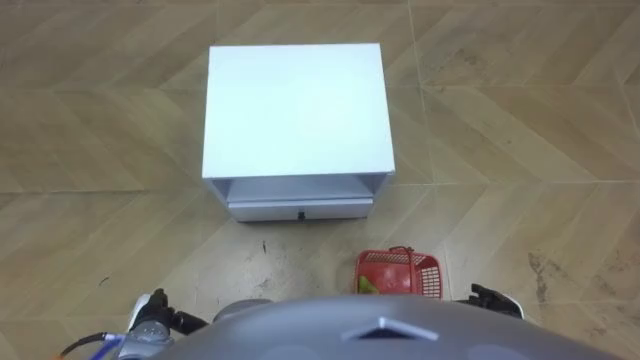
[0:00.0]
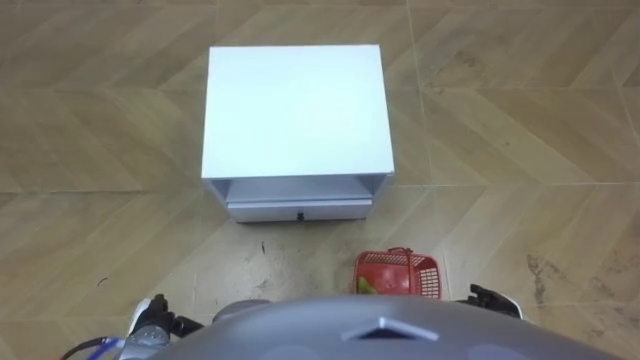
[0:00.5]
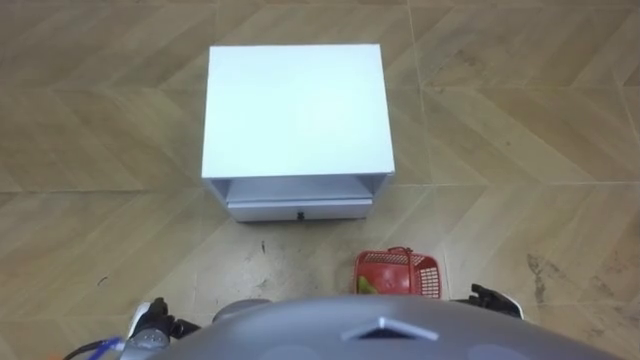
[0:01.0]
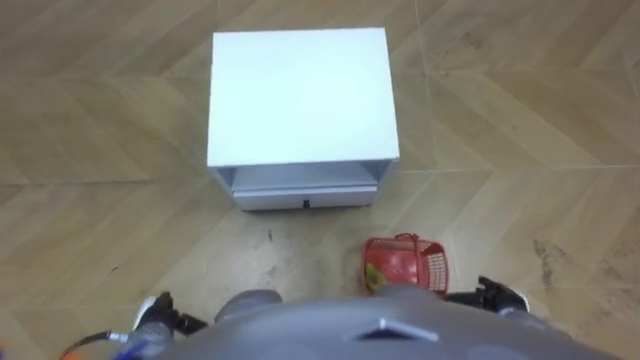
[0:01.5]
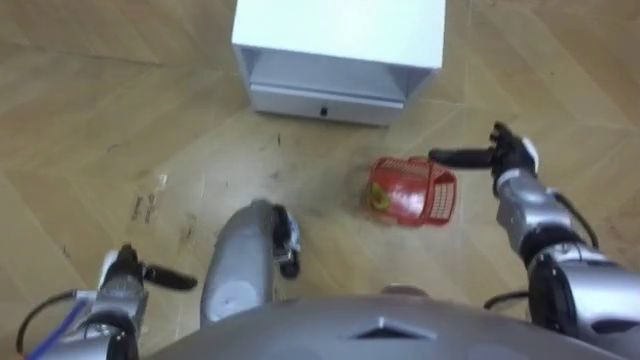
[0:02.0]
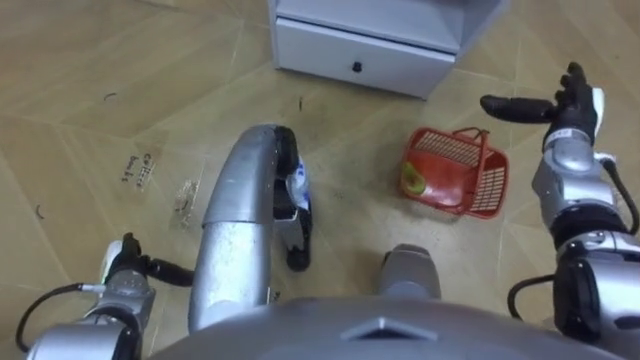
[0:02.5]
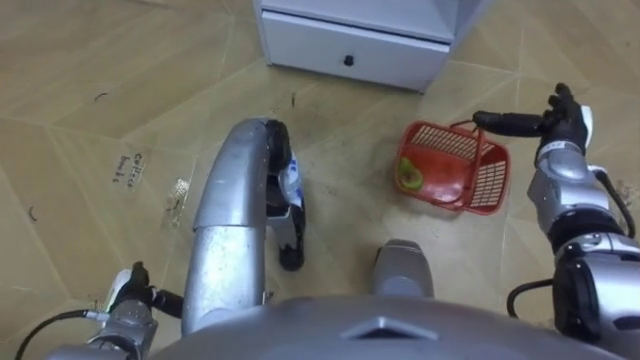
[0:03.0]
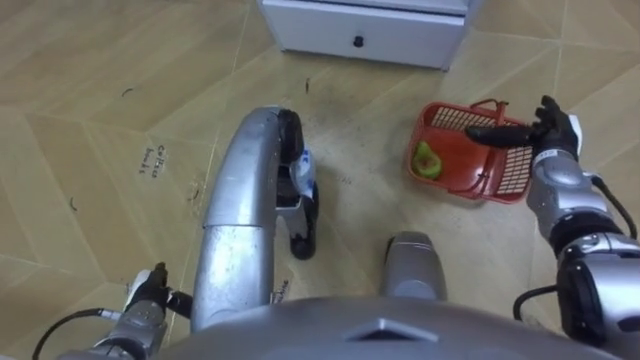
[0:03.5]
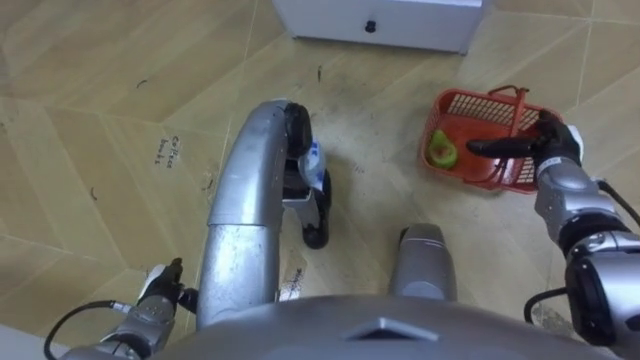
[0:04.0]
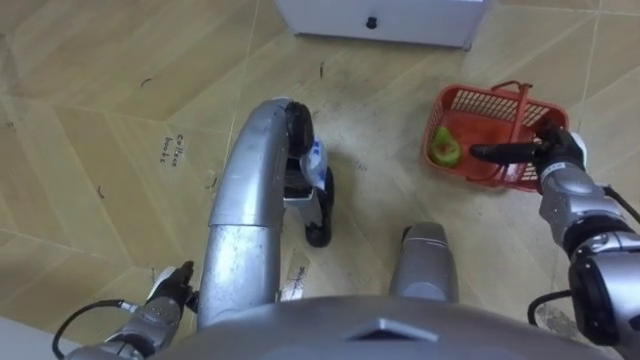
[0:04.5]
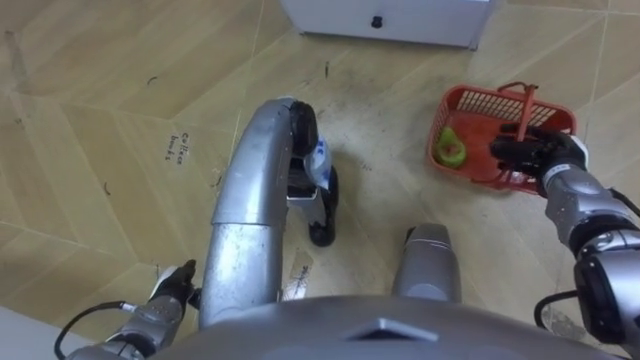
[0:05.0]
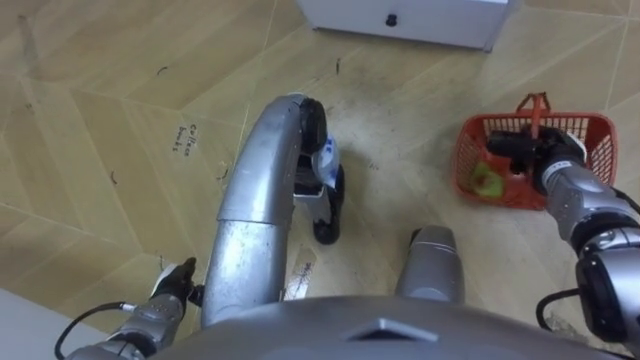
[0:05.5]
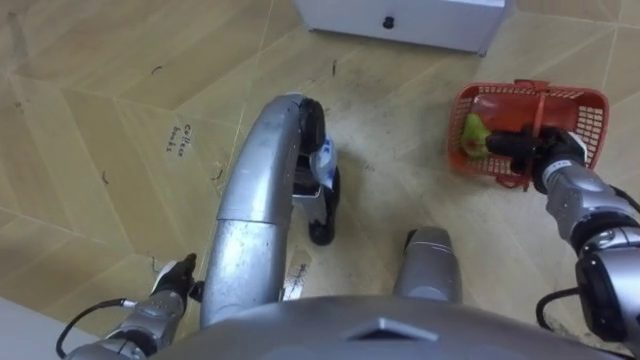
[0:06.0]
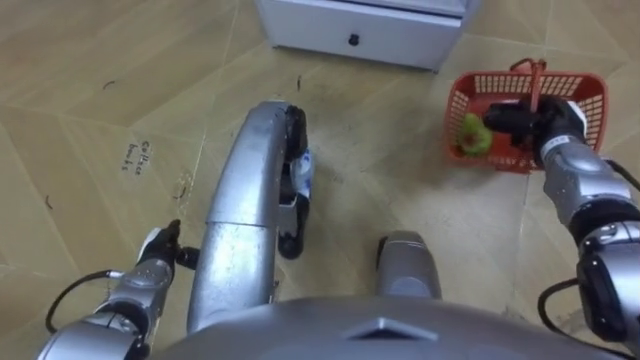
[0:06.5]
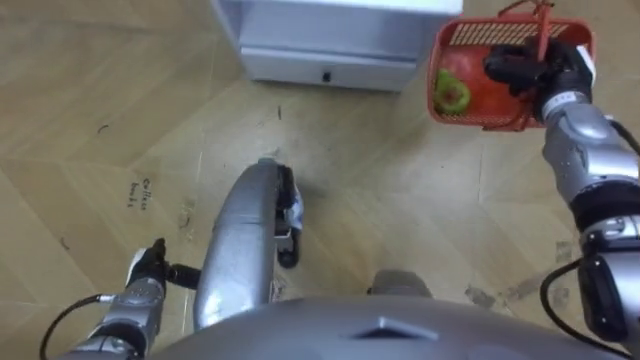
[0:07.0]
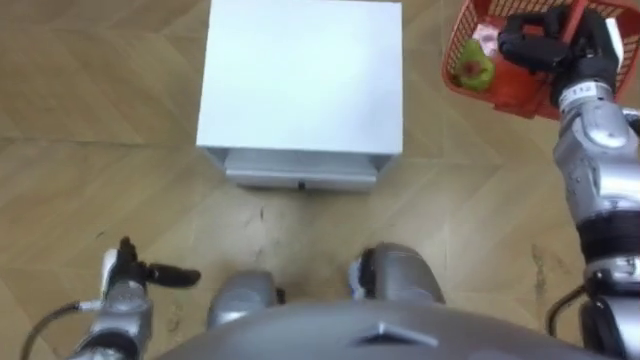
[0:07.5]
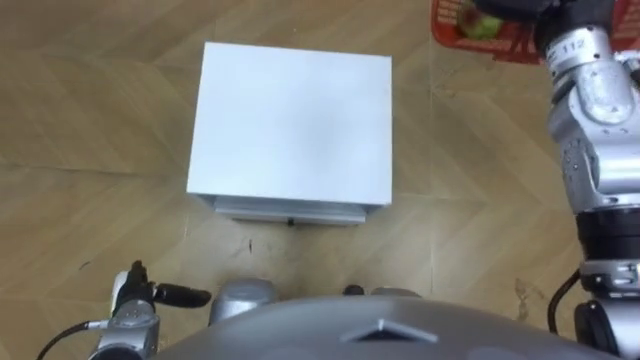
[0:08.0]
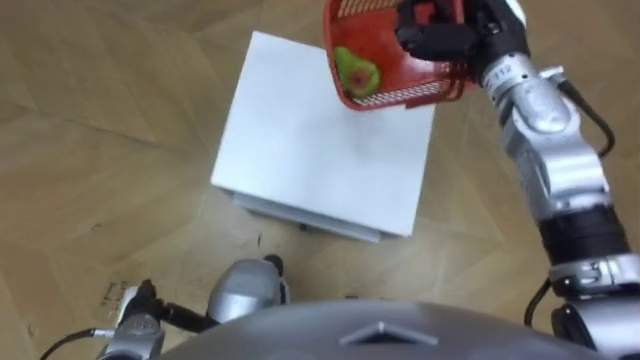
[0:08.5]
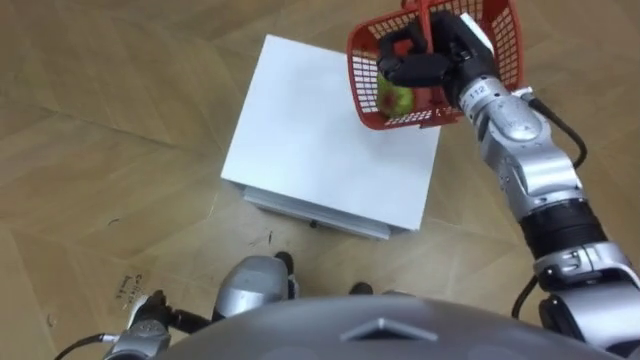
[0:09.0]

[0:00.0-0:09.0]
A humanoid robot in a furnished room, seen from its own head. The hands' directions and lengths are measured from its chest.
Task of the whole recording: Pick up the fruit basket from the floor and place it on the cabinet.
0:02.0 to 0:04.5: The two hands go approximately 5 cm to the right.
0:04.5 to 0:07.0: The right hand travels upward and forward by approximately 10 cm, and closes up. Meanwhile the left hand moves some 5 cm.
0:07.0 to 0:09.0: The left hand shifts some 10 cm backward.

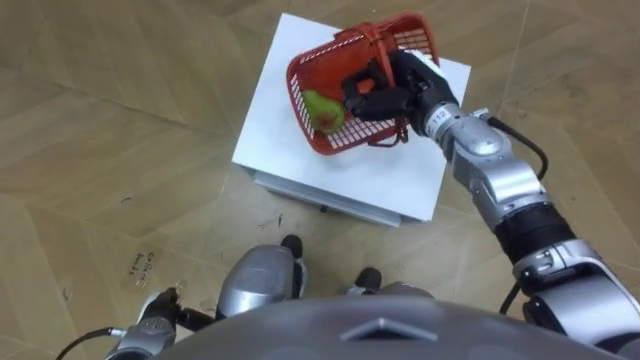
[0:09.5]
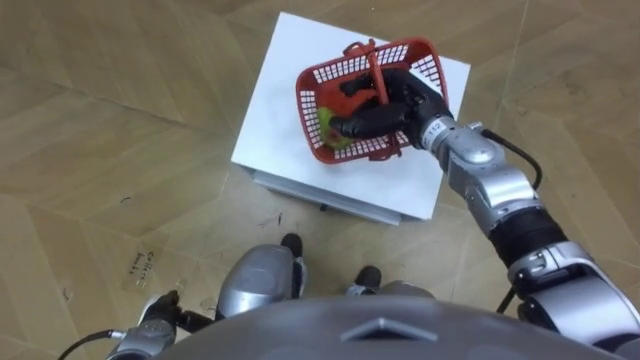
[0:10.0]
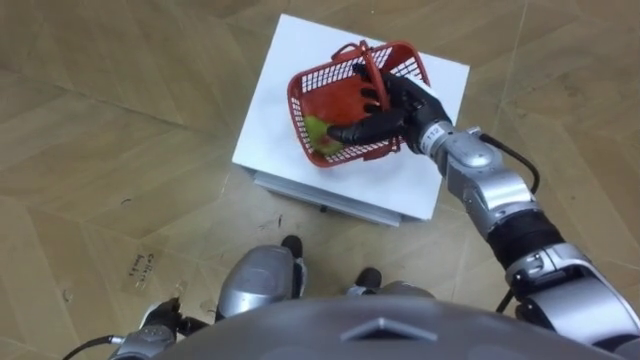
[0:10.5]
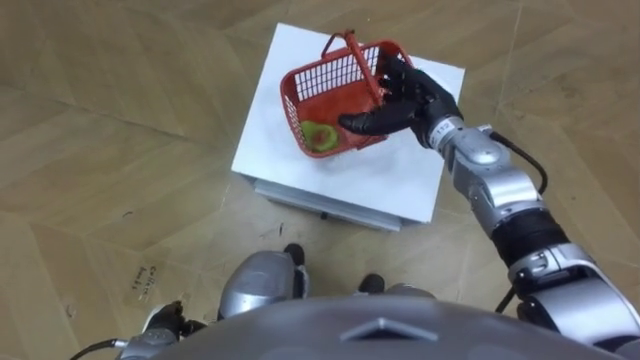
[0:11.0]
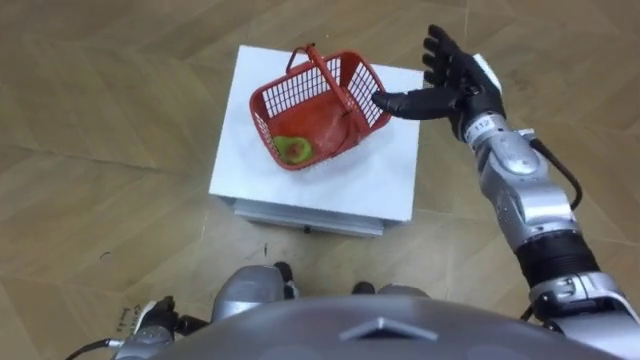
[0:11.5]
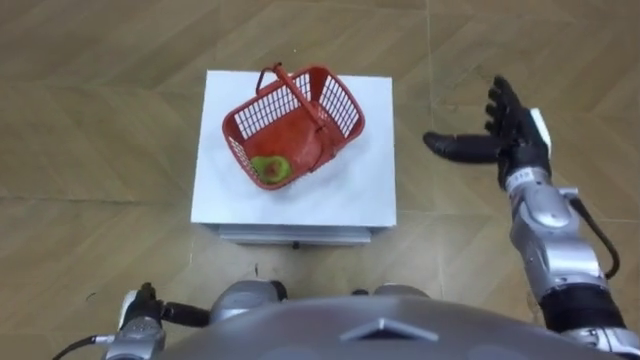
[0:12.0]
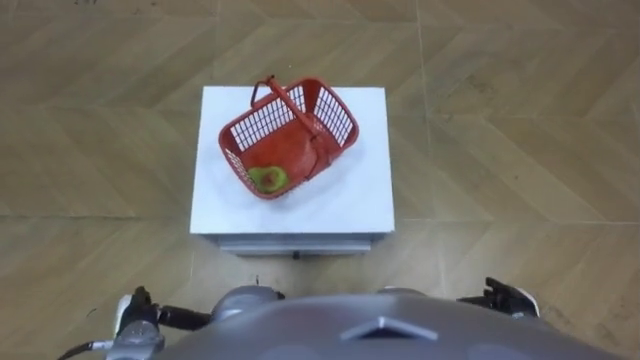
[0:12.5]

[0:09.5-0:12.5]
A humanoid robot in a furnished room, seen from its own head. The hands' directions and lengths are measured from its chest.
Task of the whole recording: Pick up the fruit basket from the floor and place it on the cabinet.
0:09.5 to 0:11.0: The right hand opens up.
0:11.0 to 0:12.5: The right hand goes about 35 cm backward, downward and to the right.

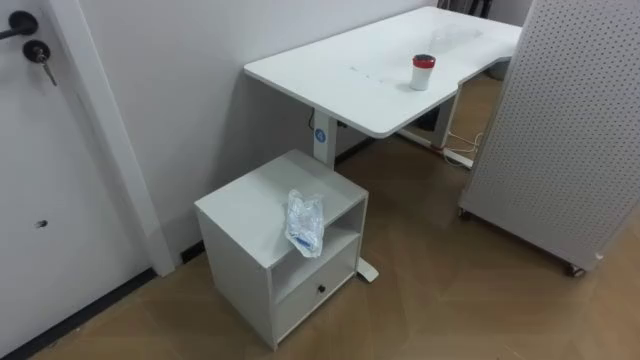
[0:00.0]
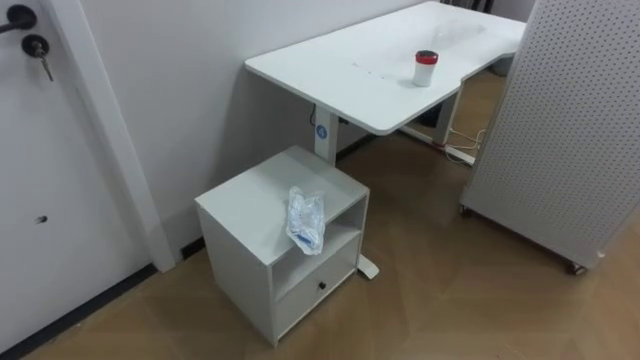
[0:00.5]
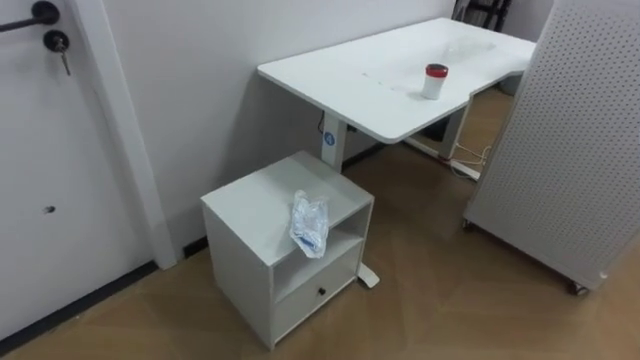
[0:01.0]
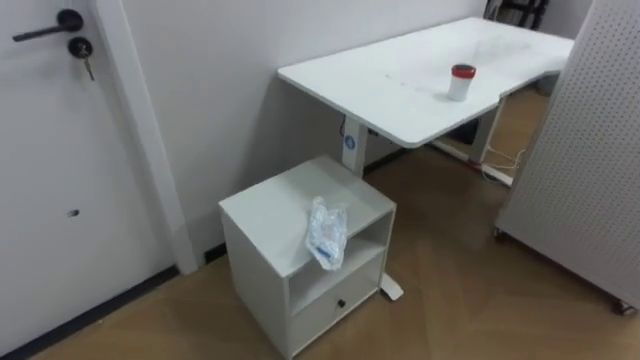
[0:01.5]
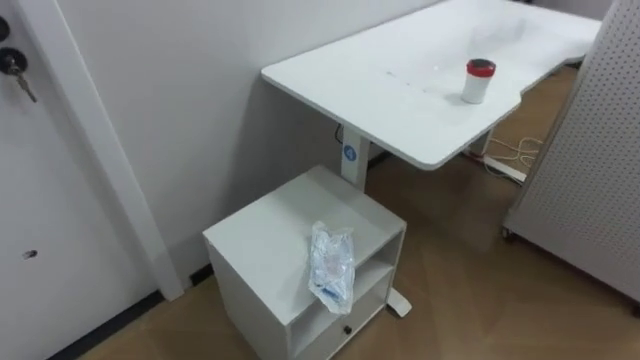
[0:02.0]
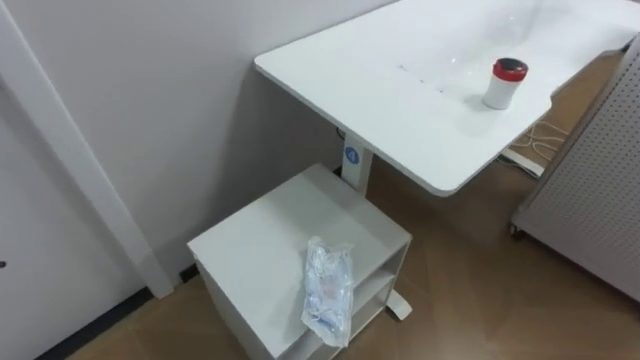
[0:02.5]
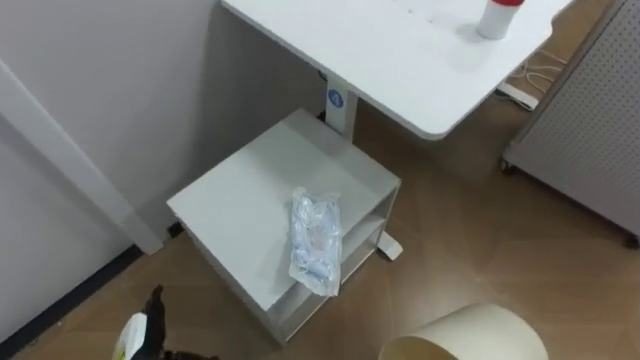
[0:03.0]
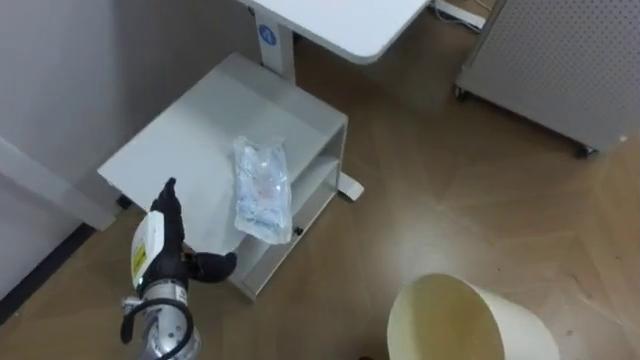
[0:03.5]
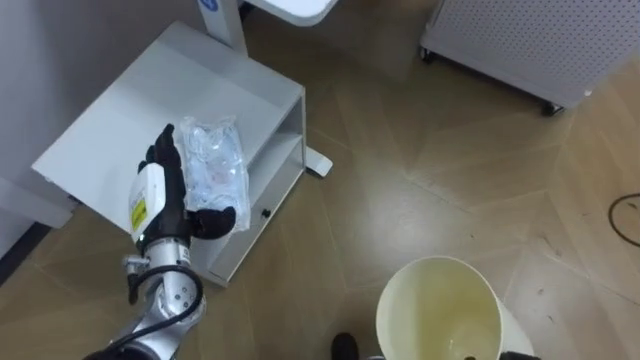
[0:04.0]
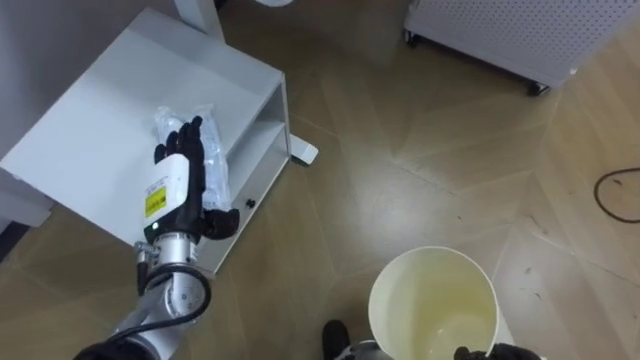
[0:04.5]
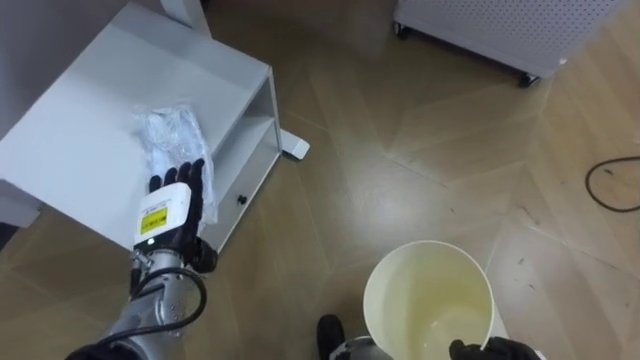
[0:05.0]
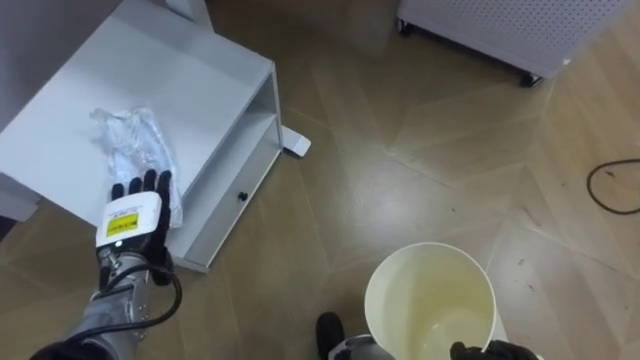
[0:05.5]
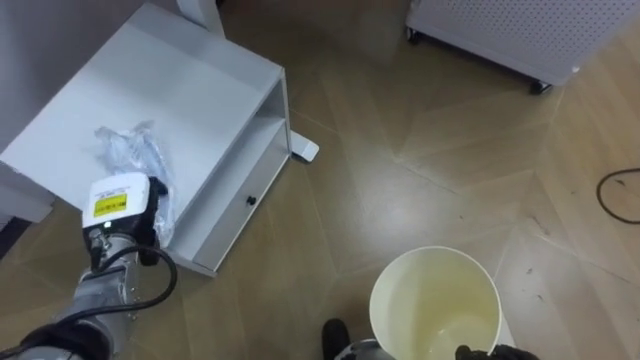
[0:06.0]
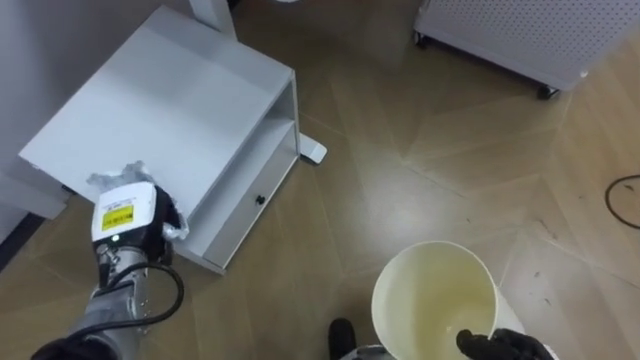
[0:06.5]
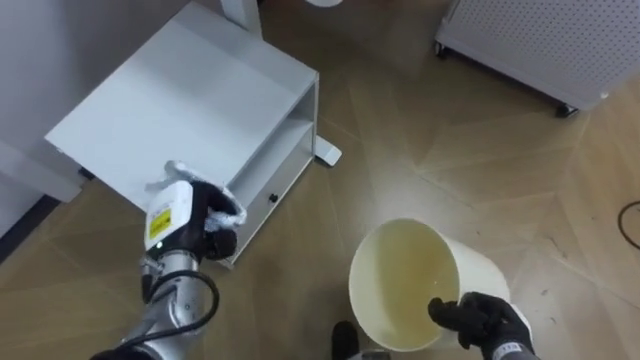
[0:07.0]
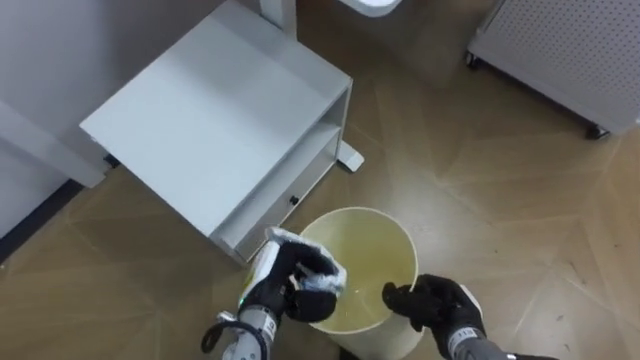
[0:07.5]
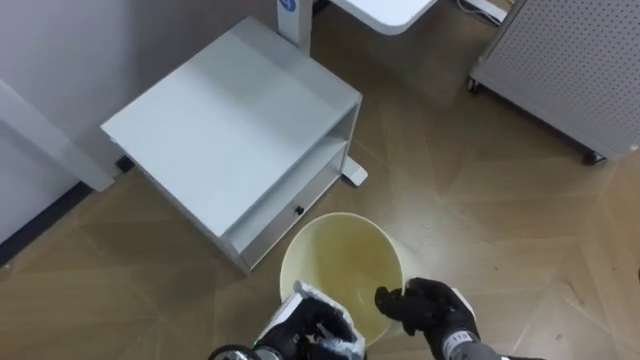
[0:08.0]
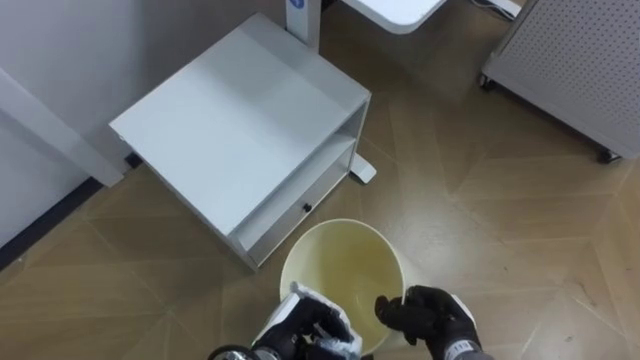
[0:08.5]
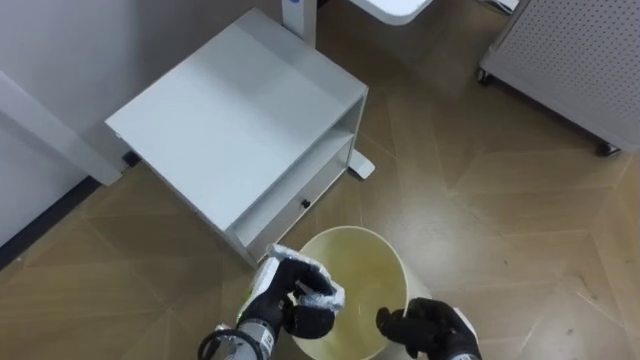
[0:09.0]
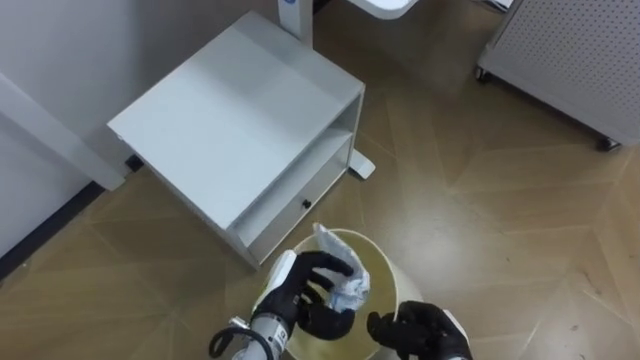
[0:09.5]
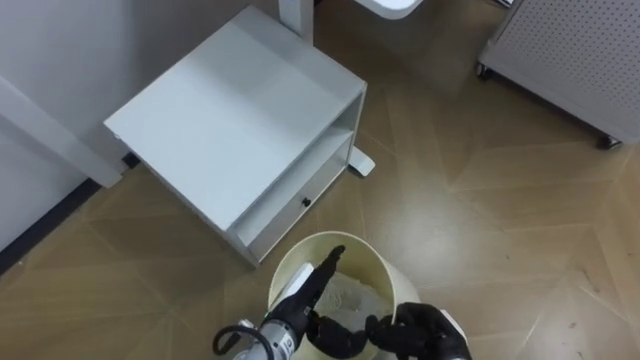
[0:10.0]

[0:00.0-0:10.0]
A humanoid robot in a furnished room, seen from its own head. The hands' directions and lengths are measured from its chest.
Task of the whole recording: Pick up the light blue package, the candy box, and the dark blue package separately, and put them into the trash can held in your right hand.
0:04.0 to 0:06.0: The left hand goes approximately 5 cm to the left.
0:06.0 to 0:08.0: The left hand is displaced to the right, downward and backward by roughly 25 cm, and closes its fingers.
0:08.0 to 0:10.0: The left hand opens its fingers.
